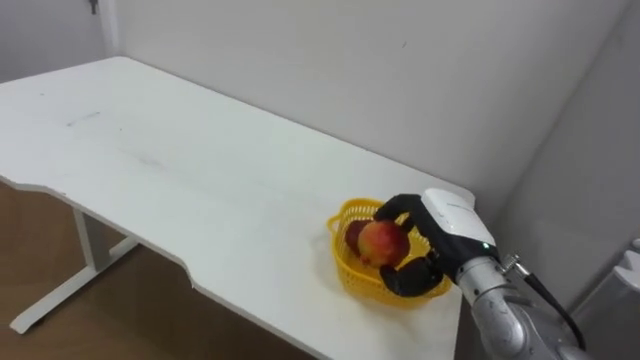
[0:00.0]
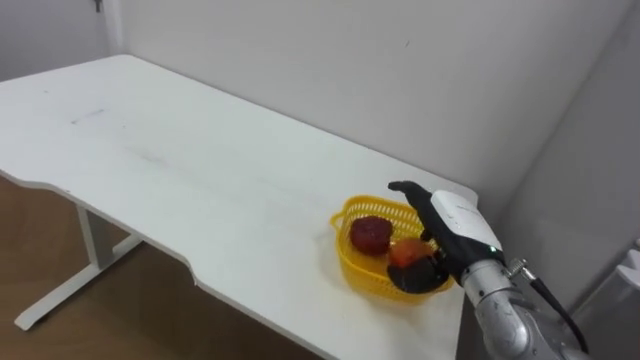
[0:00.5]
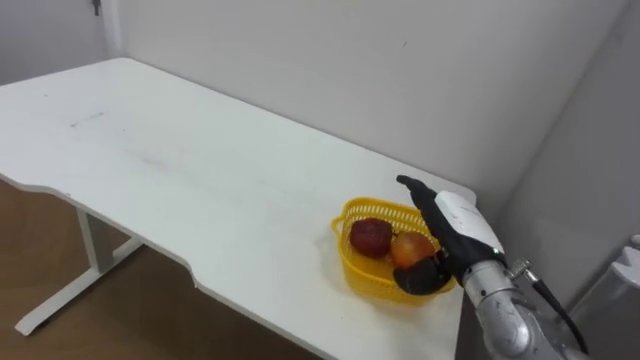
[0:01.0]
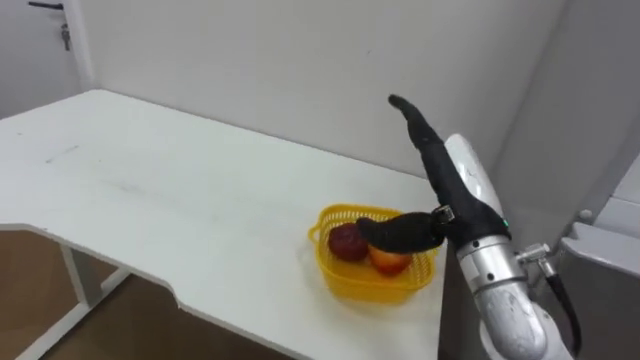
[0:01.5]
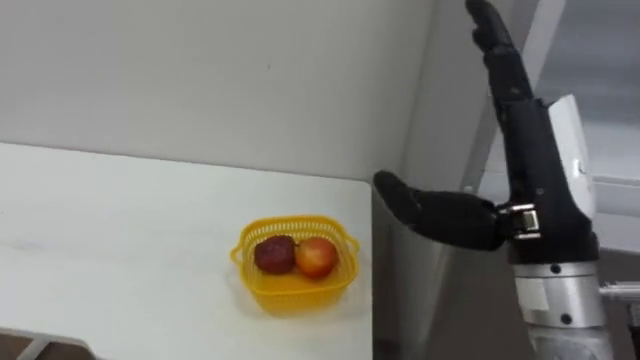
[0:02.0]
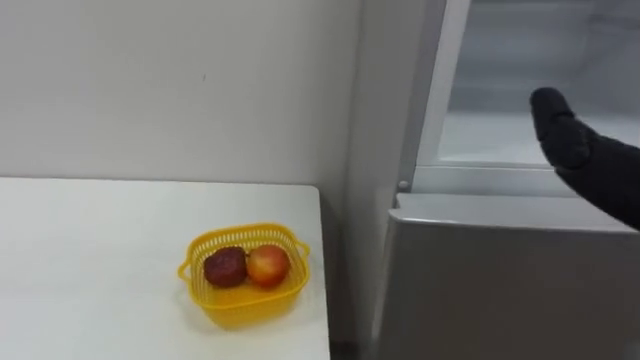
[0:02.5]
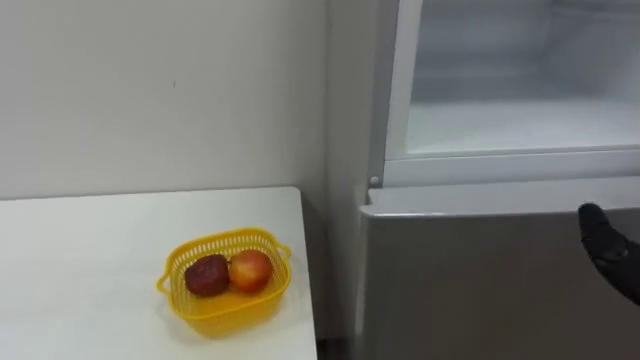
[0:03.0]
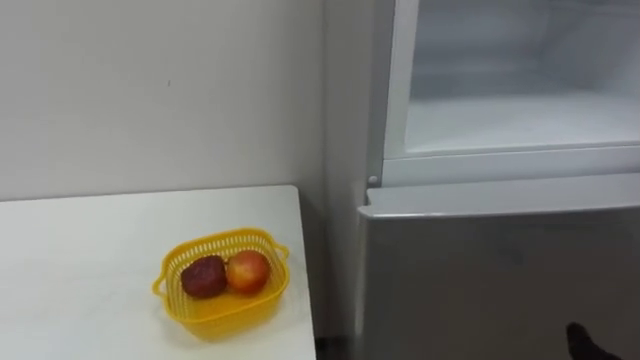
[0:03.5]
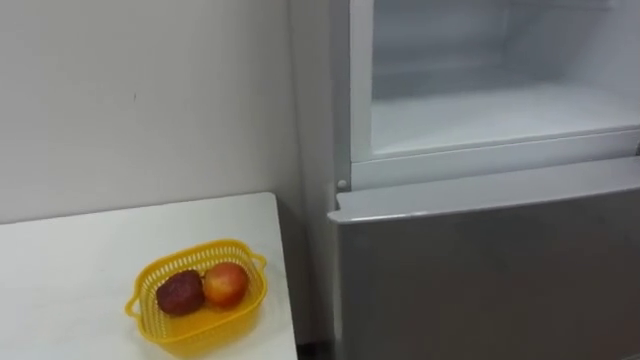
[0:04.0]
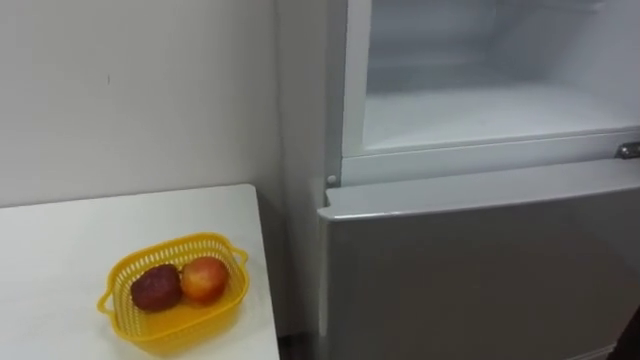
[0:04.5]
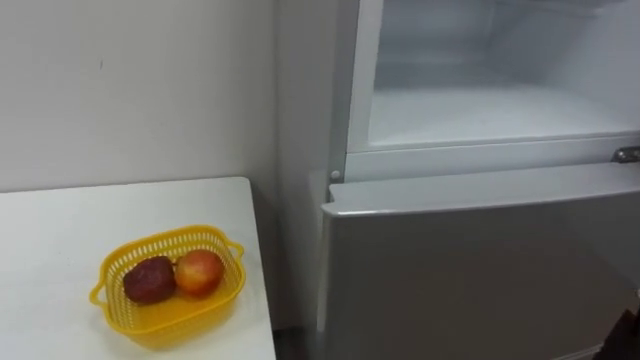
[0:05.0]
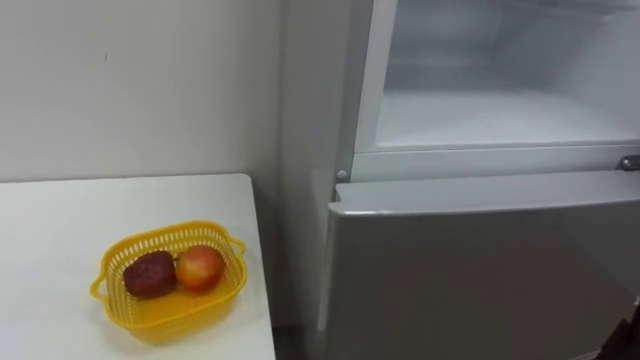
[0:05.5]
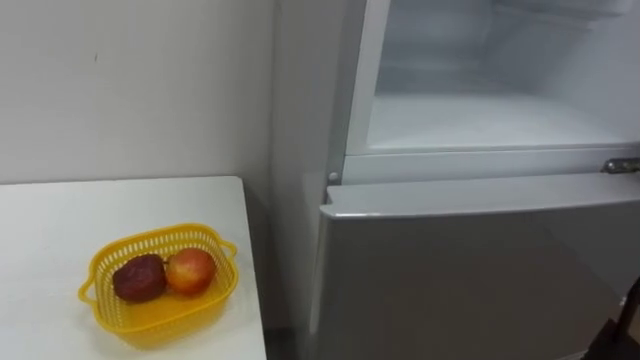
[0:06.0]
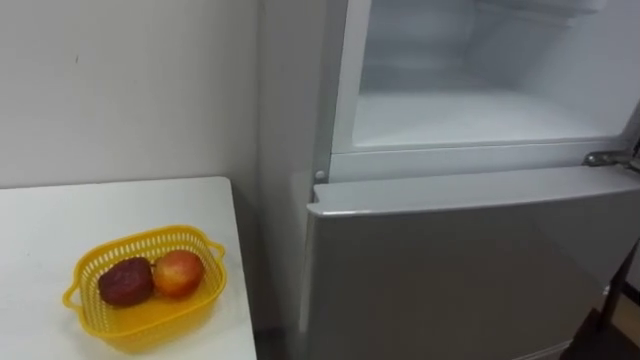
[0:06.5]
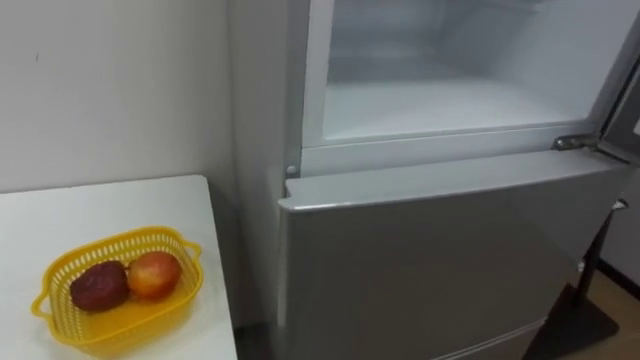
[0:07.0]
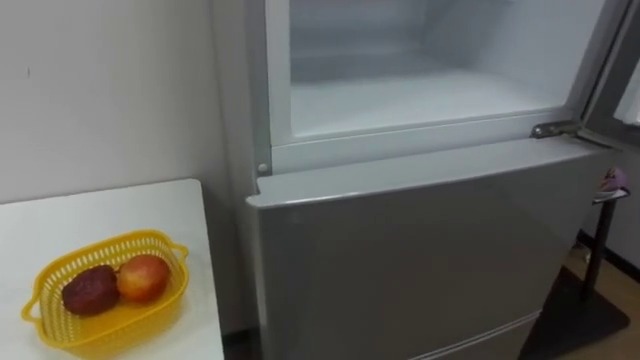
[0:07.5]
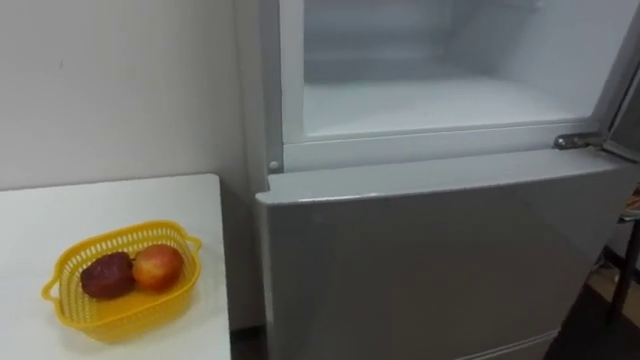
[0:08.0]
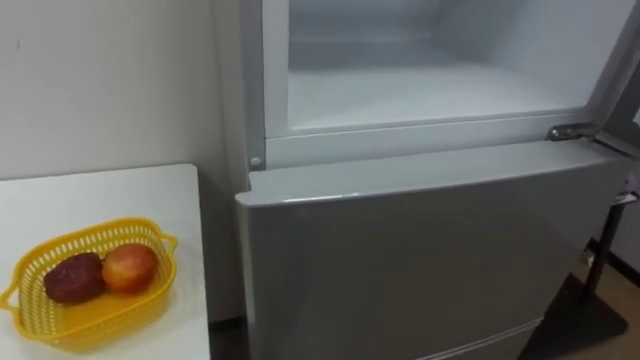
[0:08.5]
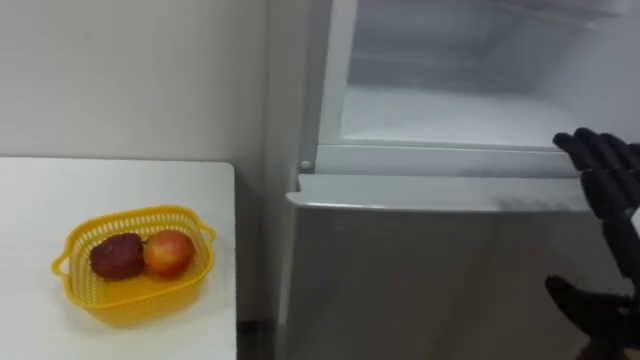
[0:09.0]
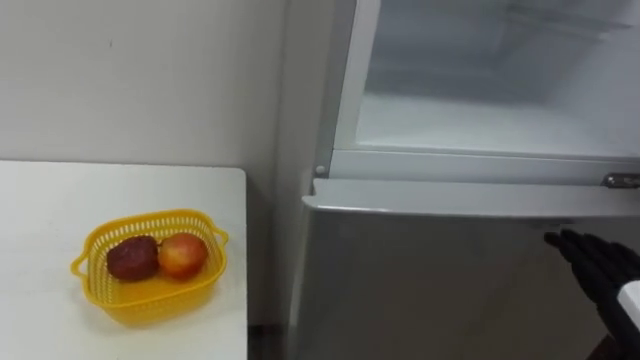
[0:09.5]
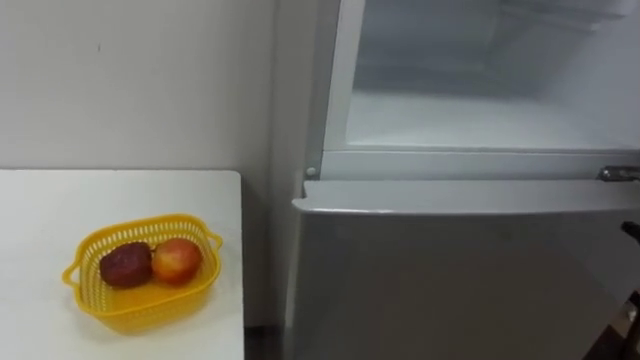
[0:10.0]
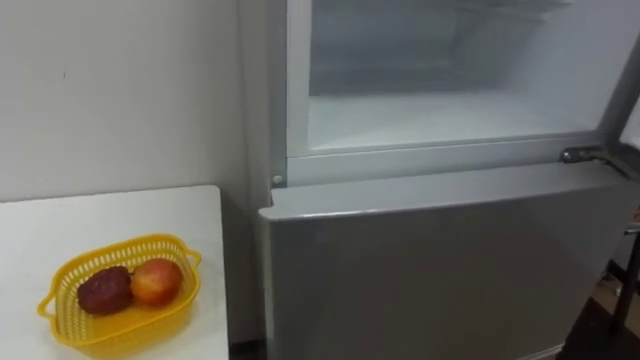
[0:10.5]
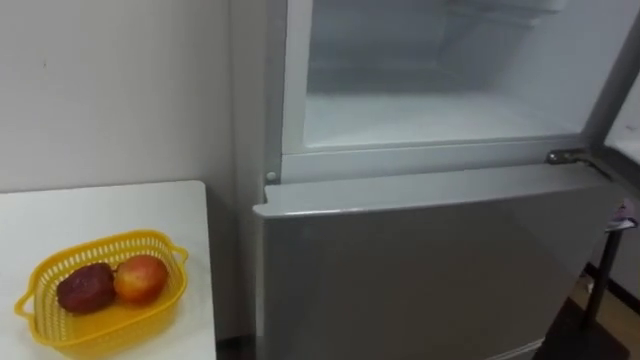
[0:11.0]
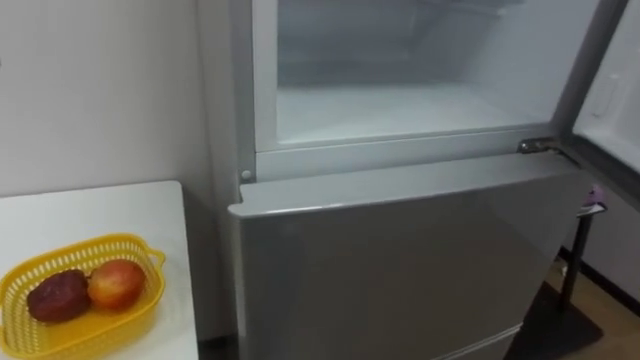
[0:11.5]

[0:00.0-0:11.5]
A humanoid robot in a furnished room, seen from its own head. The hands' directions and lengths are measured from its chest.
Task of the whole recording: Open the refrigerator door, take out the apple and the pomegranate, place them in the fruit basket on the left, and close the refrigerator door.
0:00.0 to 0:02.0: The right hand travels upward and backward by roughly 20 cm, and opens its fingers.
